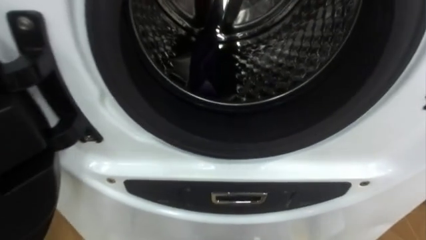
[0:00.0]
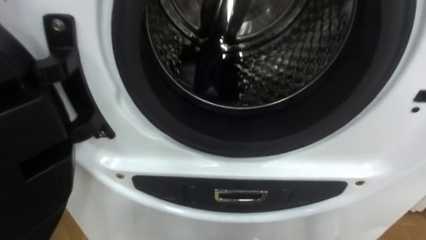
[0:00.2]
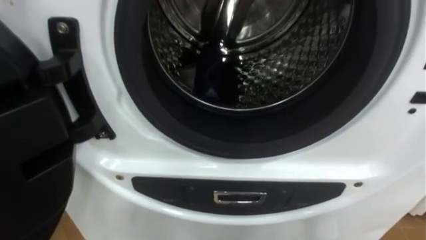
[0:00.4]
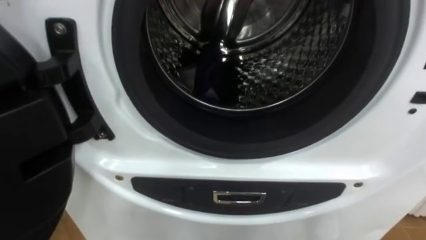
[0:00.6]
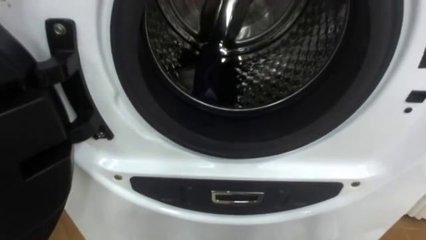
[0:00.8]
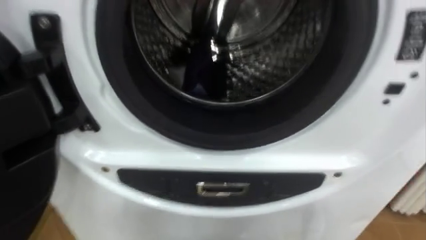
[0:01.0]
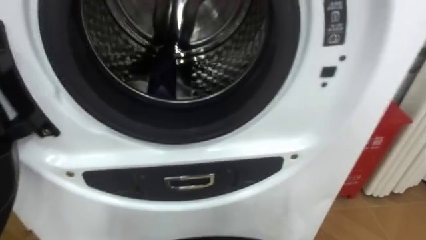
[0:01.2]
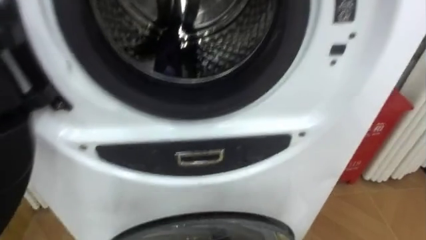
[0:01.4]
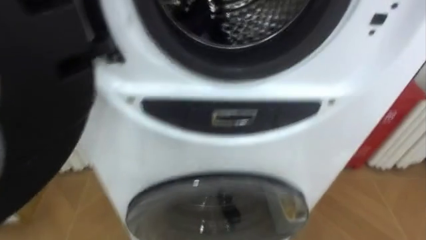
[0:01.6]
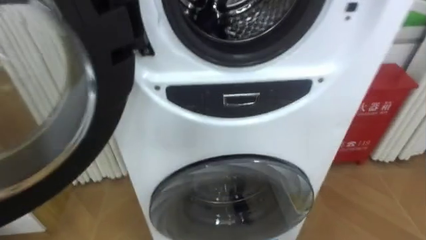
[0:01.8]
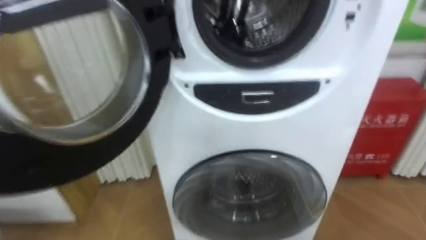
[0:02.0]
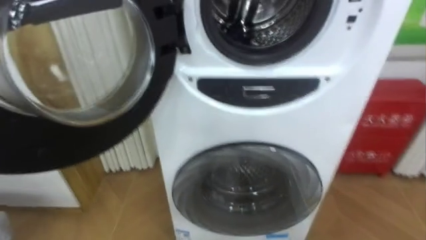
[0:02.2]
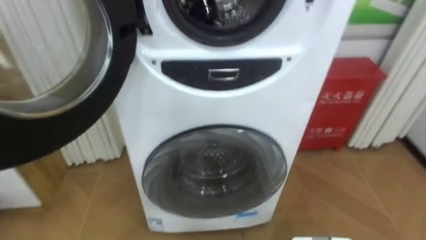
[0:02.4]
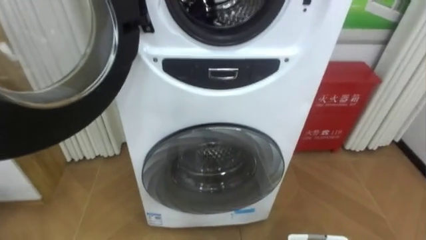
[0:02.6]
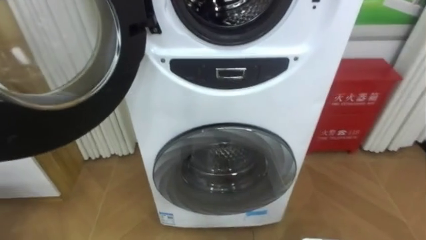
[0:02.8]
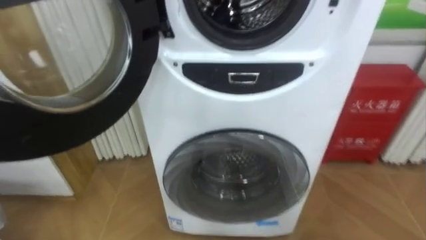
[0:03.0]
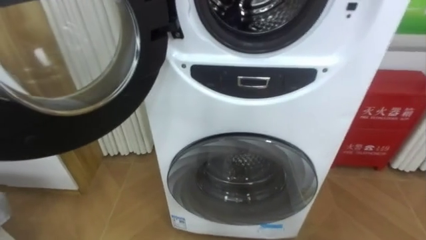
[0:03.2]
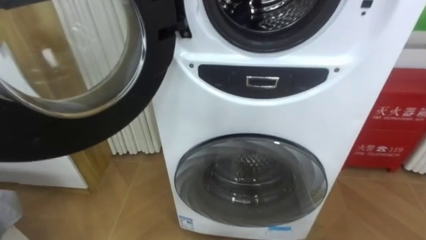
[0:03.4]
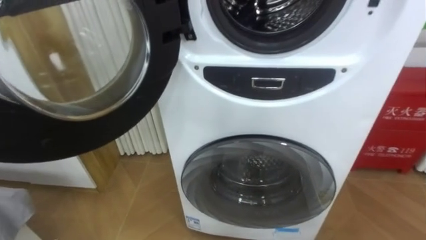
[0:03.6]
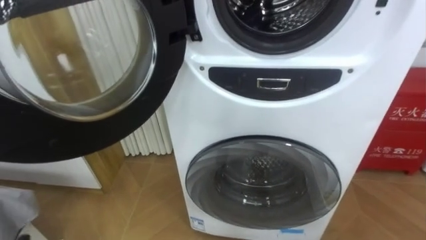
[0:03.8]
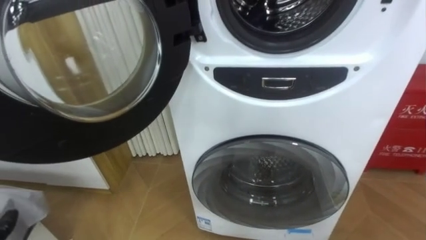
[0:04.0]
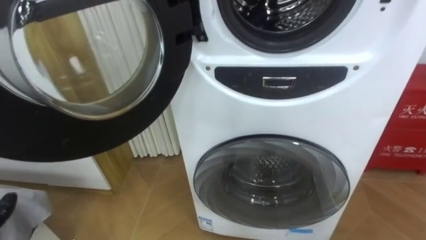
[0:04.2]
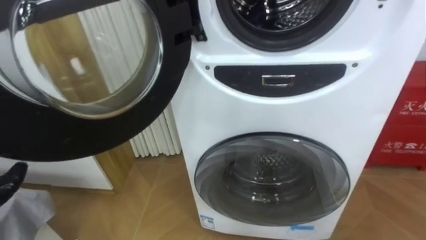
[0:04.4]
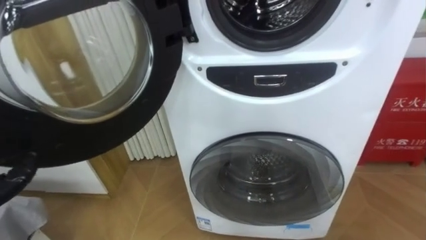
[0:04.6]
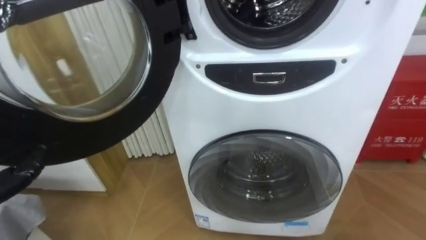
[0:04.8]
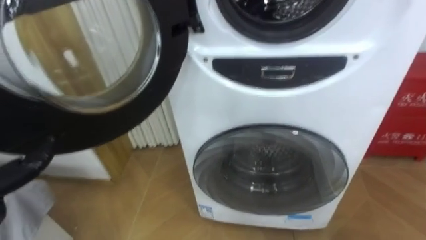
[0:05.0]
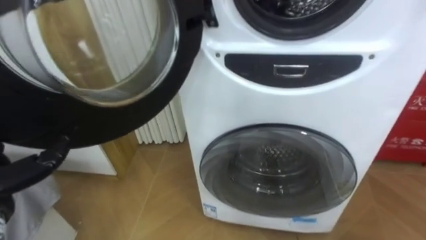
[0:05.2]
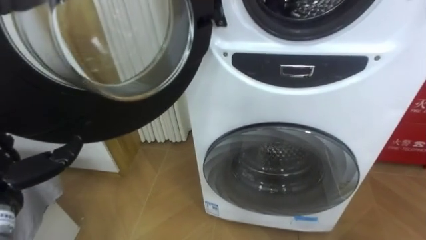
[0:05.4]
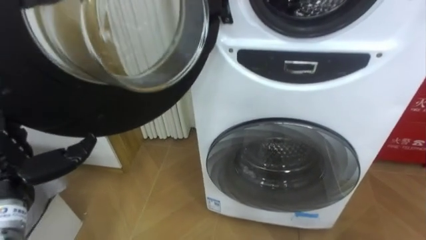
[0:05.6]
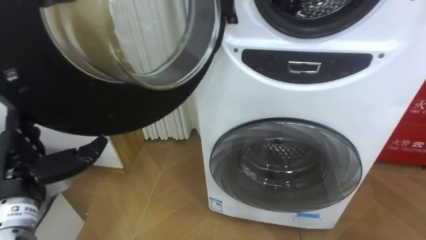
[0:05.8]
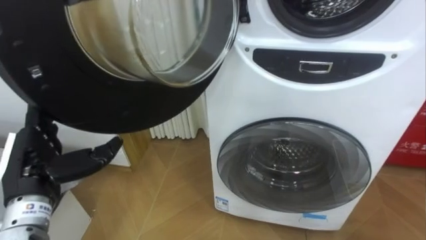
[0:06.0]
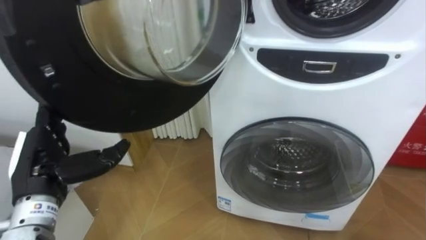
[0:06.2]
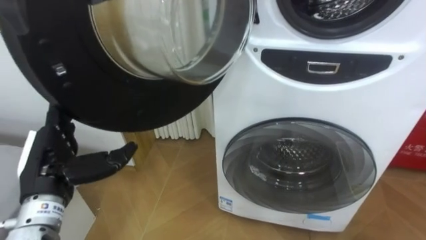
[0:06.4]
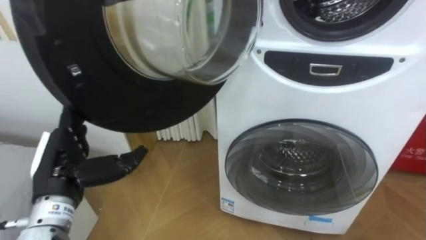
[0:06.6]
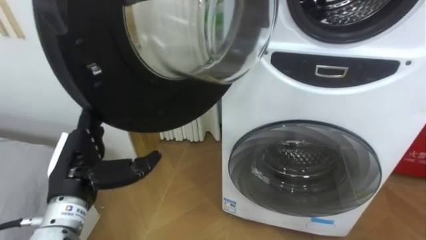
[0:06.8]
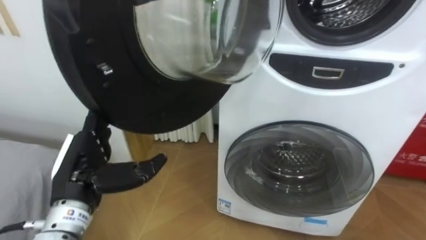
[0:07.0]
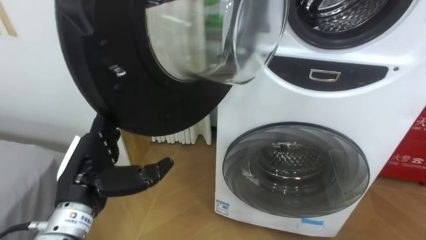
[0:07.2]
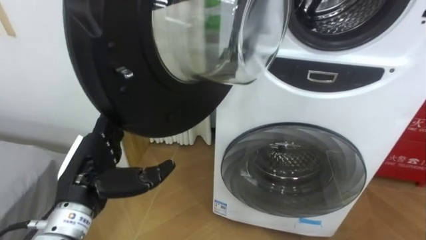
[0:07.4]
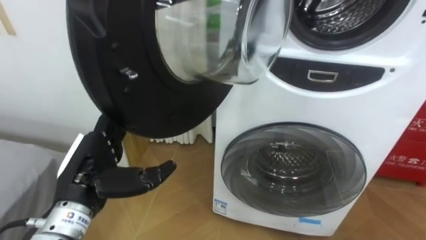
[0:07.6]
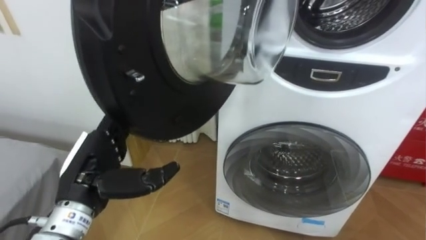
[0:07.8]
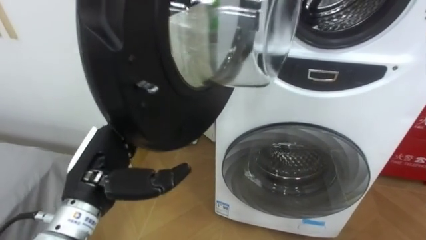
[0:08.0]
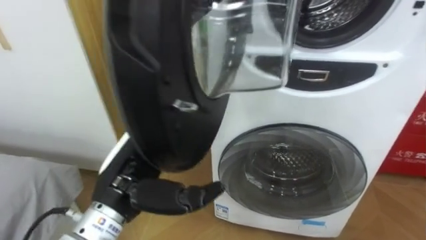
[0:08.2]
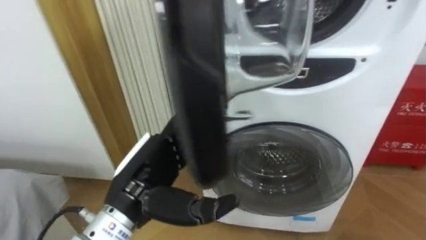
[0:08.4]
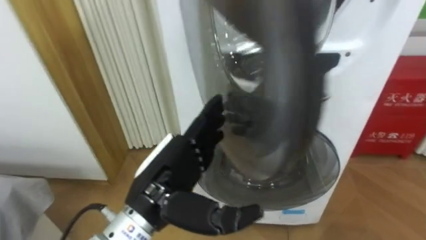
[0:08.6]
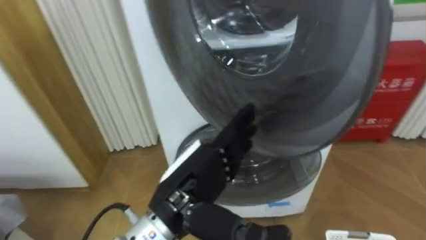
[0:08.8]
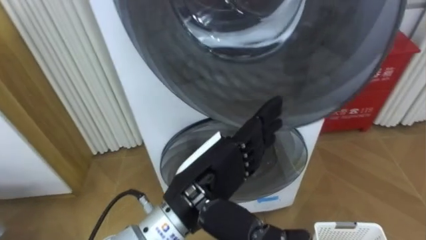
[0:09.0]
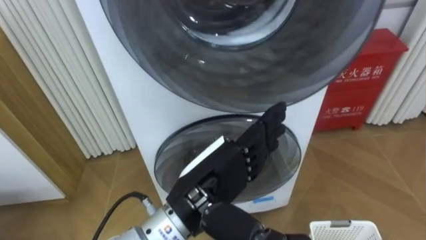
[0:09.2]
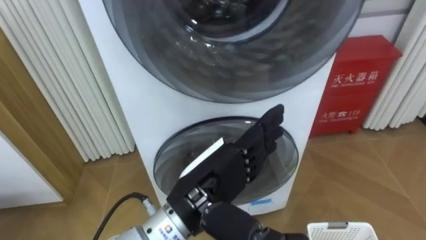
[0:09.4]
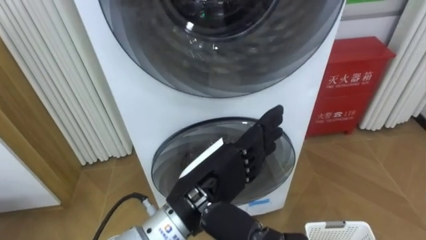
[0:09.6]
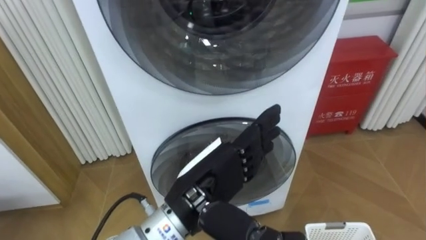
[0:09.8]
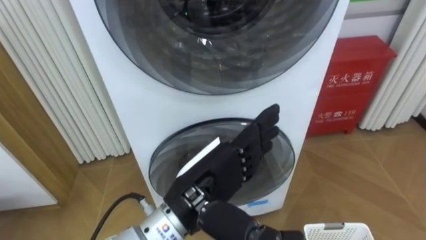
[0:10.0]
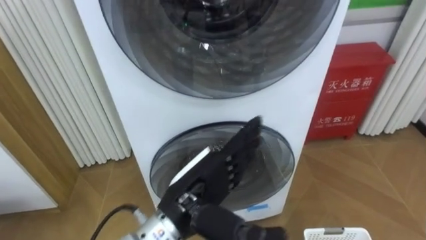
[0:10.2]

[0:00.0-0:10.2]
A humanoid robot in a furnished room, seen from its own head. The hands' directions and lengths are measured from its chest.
Task of the whole recording: Open the washing machine door, take out the yellow clothes, place them in the box on the right, and close the washing machine door.
0:05.8 to 0:07.2: The left hand goes approximately 10 cm to the right.
0:07.2 to 0:08.8: The left hand is displaced to the right by about 15 cm.

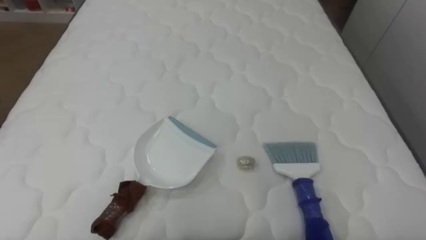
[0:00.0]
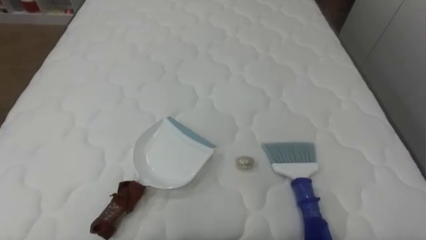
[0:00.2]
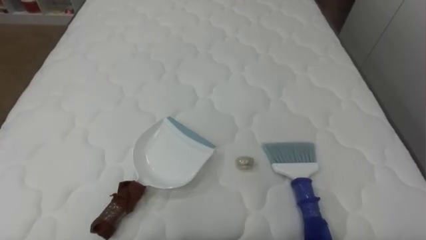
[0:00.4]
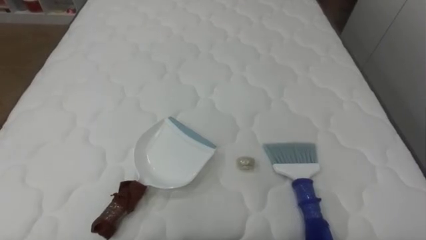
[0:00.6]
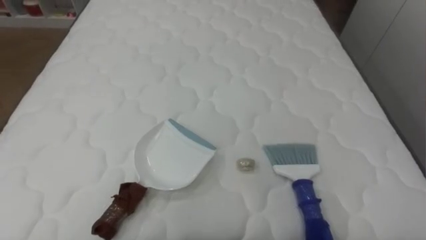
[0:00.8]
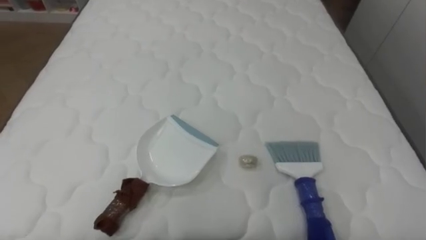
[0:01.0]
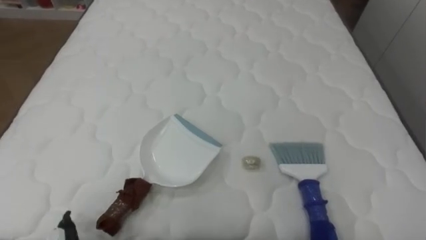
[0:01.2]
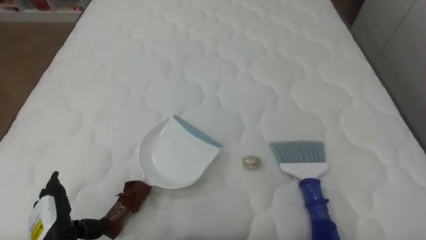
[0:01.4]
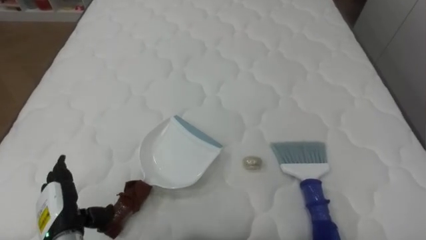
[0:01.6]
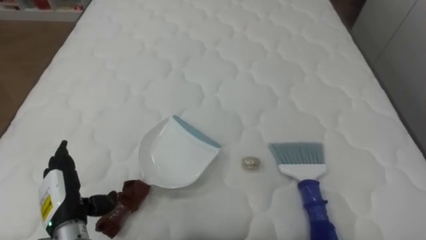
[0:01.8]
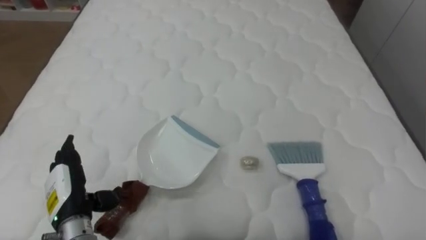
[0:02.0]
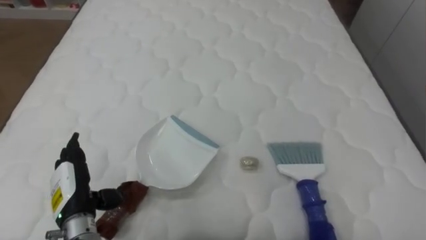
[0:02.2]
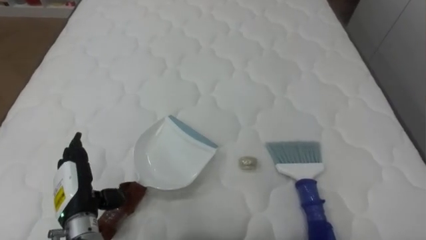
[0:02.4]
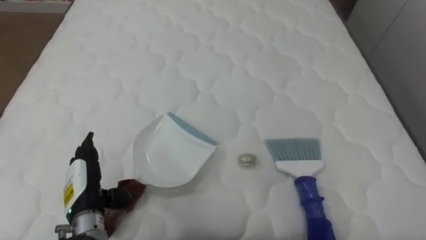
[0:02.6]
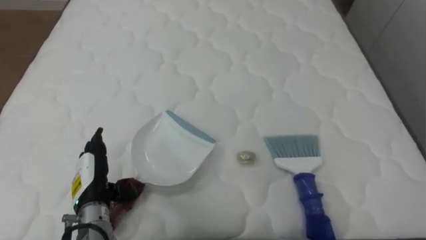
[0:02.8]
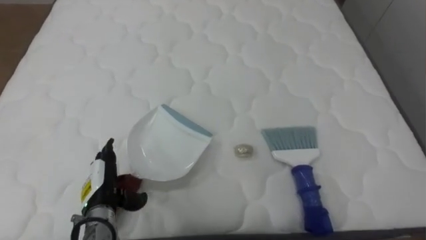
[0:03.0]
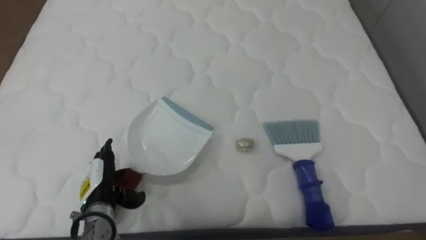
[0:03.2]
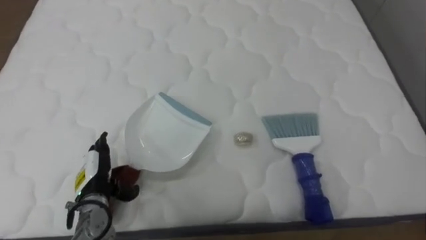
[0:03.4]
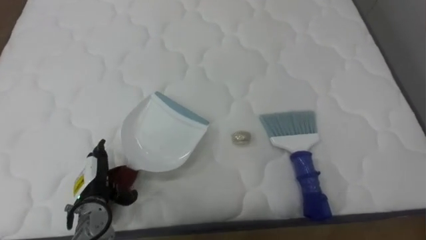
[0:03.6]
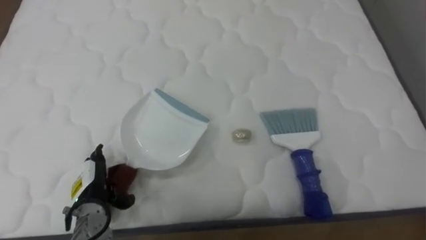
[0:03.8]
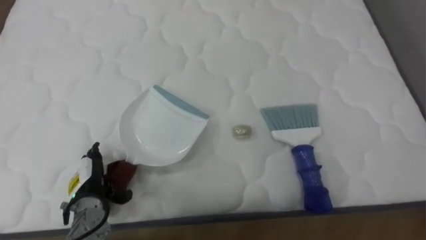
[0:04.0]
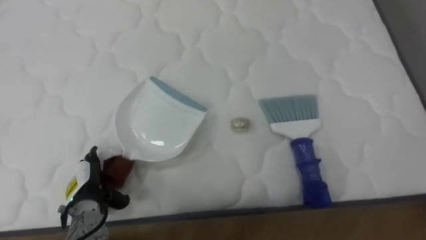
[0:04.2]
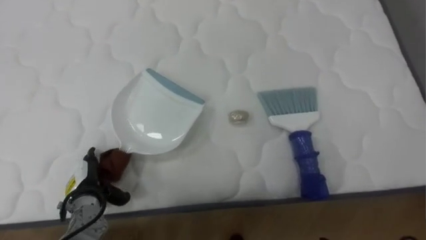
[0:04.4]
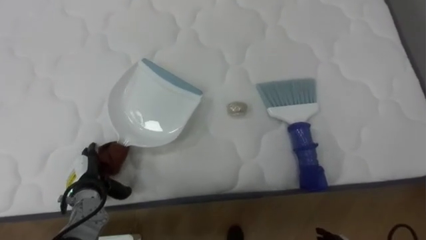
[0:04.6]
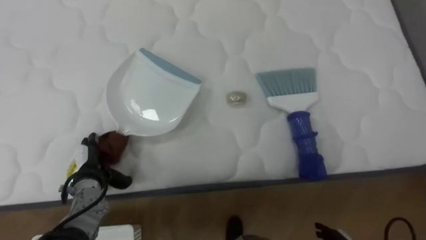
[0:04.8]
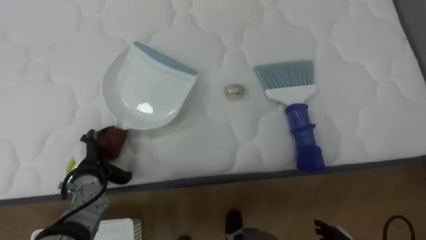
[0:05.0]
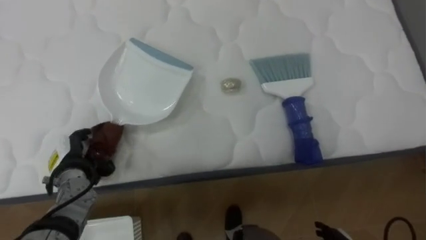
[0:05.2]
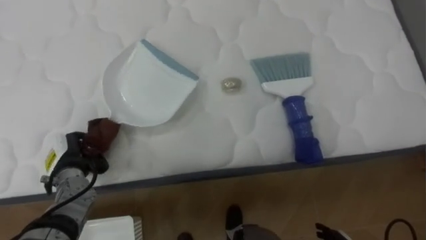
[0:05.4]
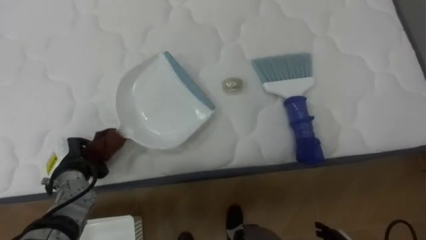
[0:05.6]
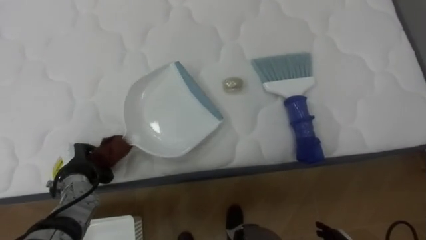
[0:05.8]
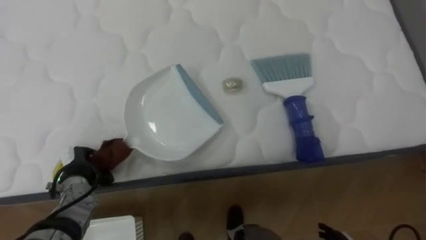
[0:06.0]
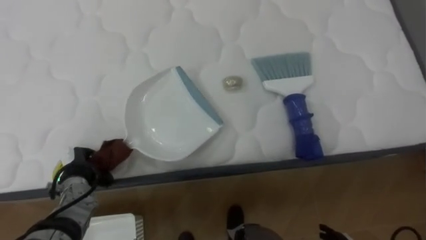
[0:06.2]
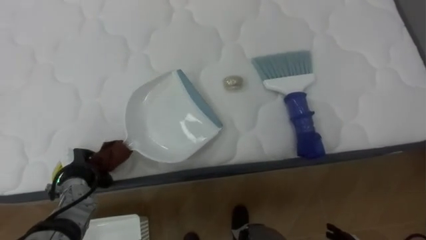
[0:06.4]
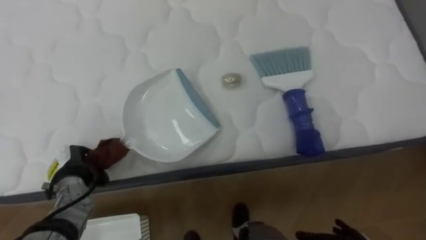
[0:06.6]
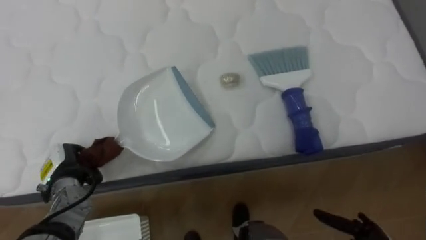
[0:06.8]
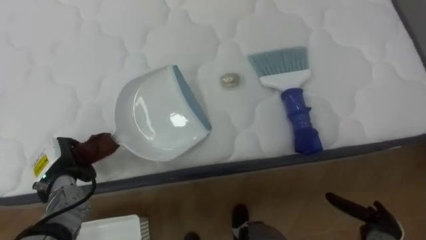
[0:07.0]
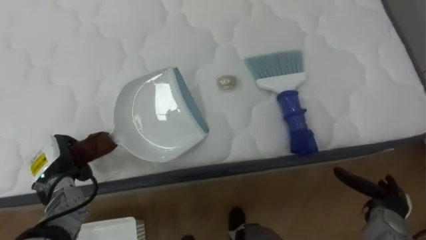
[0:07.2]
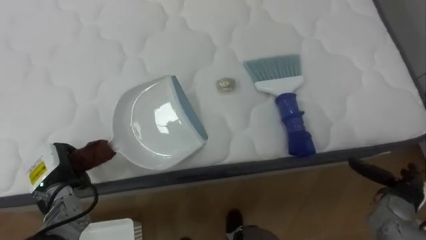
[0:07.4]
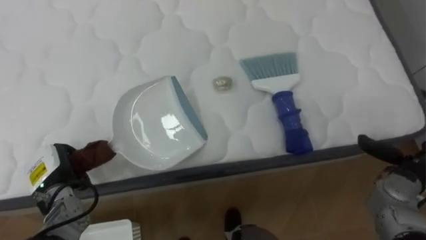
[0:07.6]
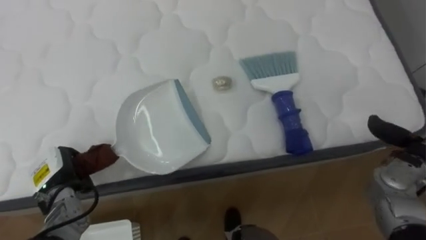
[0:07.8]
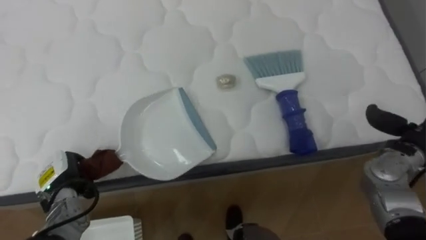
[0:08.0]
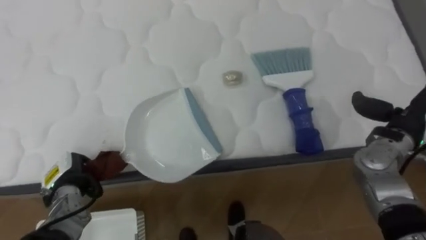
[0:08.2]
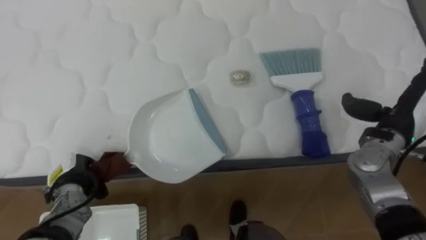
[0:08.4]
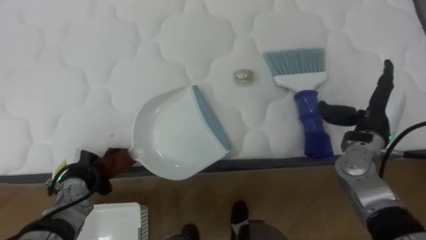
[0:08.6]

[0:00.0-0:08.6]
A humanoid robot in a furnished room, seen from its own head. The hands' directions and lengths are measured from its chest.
Task of the whole recording: Pick up the brush on your right and the dustpan on your left. Use the brush to sweep the crumpled paper on the bed into the dustpan, then turn left and empty it into the basket.
0:01.4 to 0:02.8: The left hand shifts approximately 10 cm forward and to the right.
0:02.8 to 0:04.4: The left hand is displaced downward by approximately 5 cm.
0:04.4 to 0:05.8: The left hand closes.
0:07.2 to 0:08.6: The right hand shifts roughly 20 cm upward and forward.
